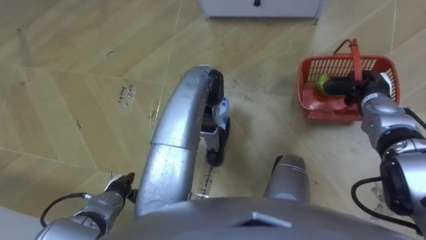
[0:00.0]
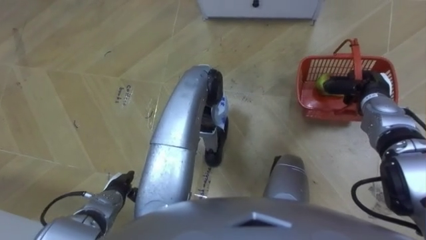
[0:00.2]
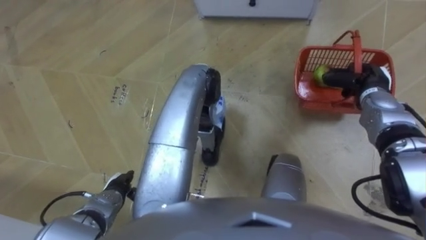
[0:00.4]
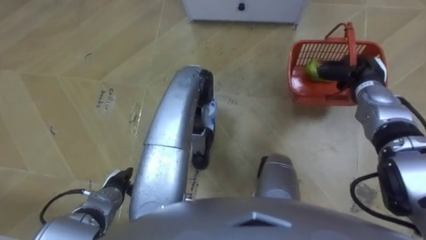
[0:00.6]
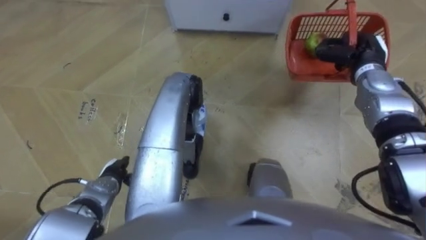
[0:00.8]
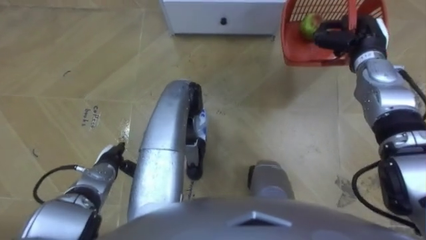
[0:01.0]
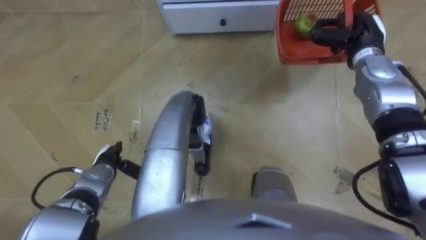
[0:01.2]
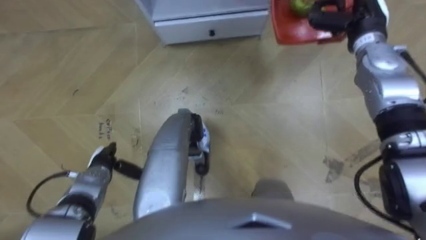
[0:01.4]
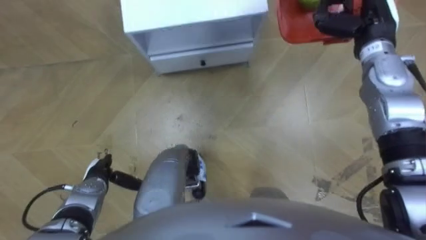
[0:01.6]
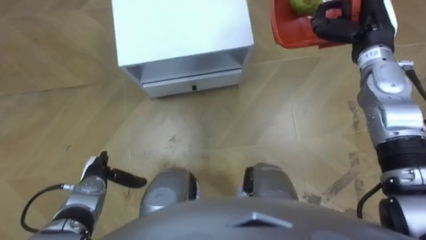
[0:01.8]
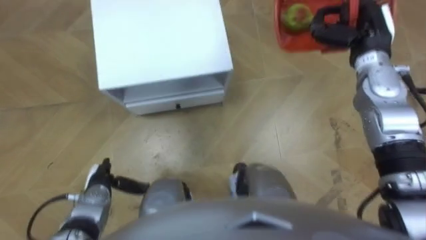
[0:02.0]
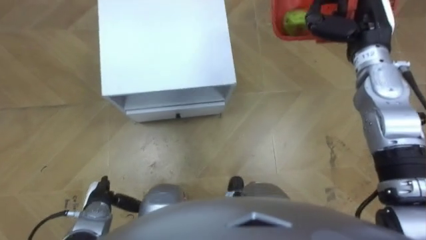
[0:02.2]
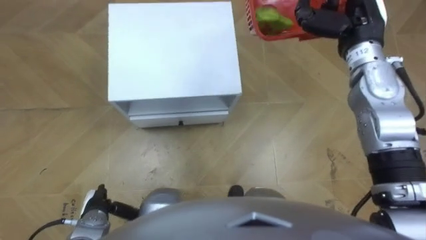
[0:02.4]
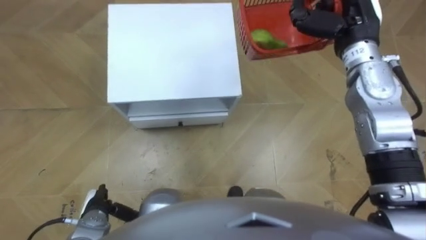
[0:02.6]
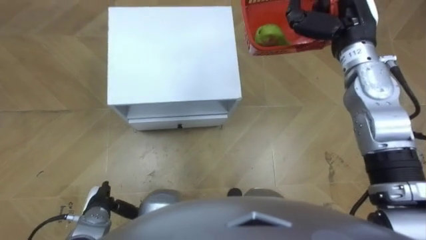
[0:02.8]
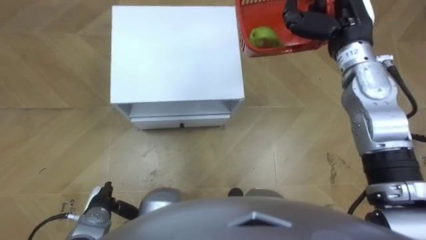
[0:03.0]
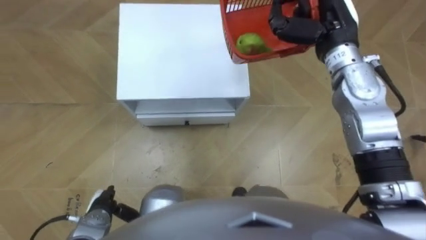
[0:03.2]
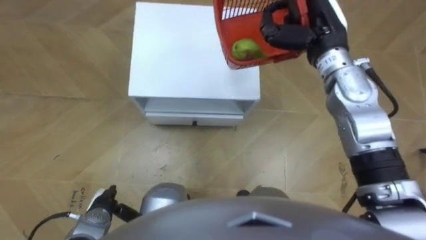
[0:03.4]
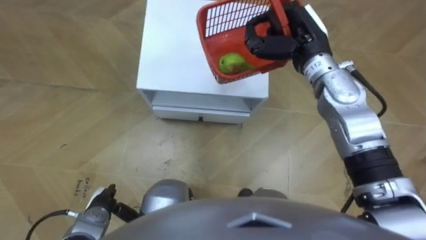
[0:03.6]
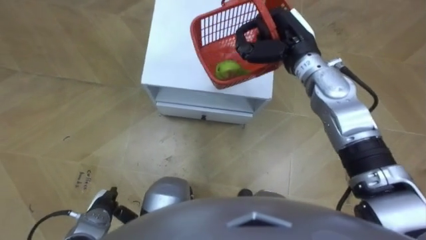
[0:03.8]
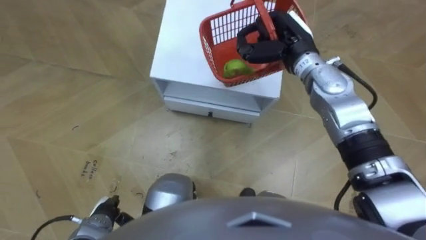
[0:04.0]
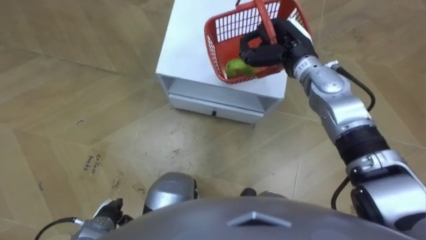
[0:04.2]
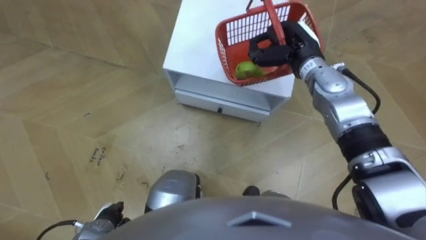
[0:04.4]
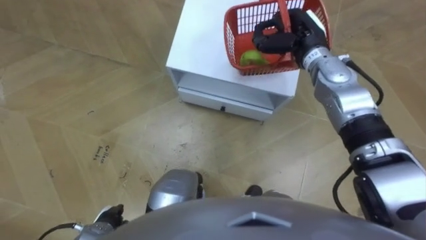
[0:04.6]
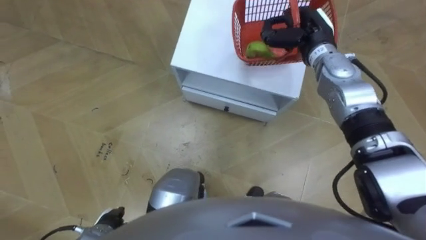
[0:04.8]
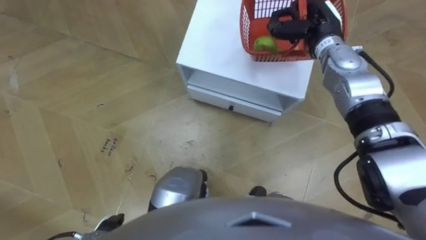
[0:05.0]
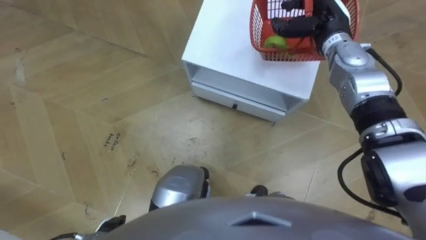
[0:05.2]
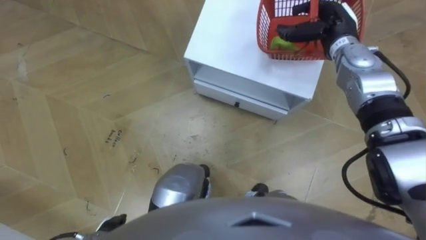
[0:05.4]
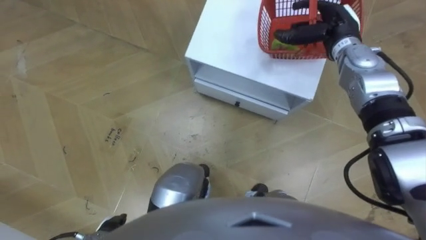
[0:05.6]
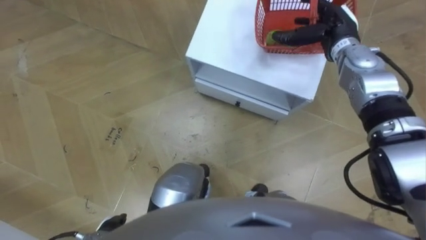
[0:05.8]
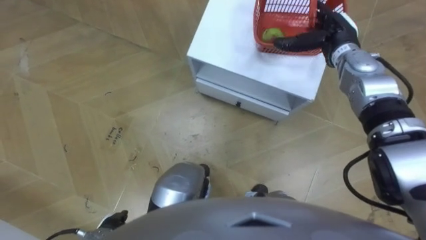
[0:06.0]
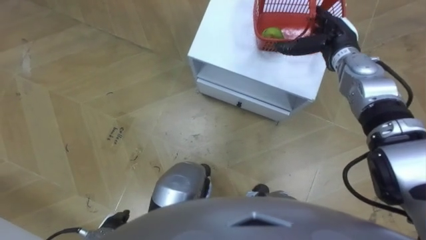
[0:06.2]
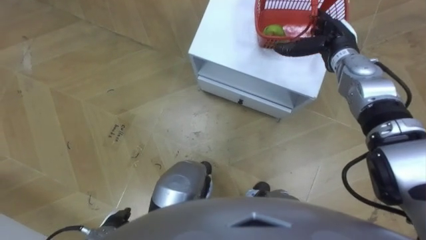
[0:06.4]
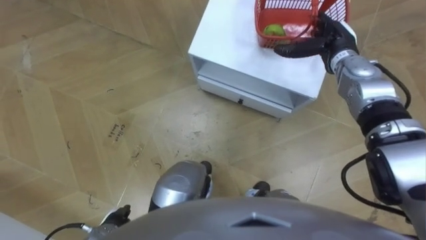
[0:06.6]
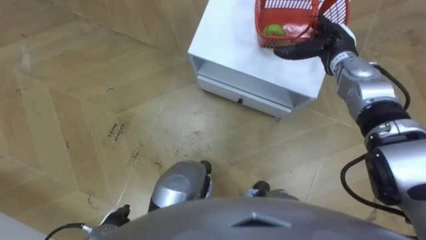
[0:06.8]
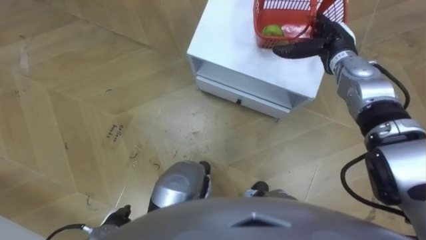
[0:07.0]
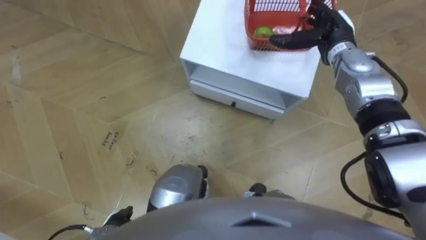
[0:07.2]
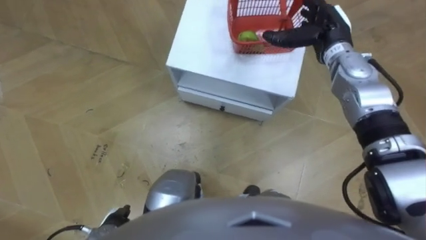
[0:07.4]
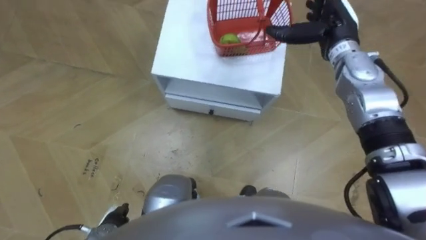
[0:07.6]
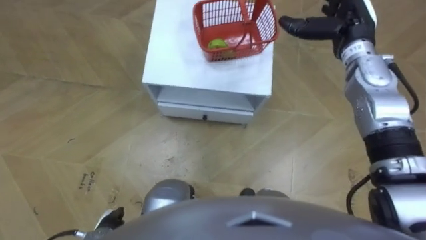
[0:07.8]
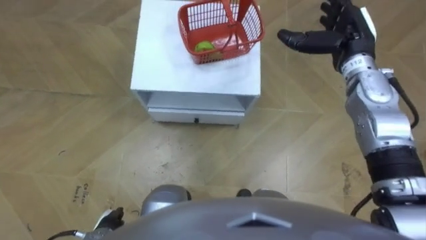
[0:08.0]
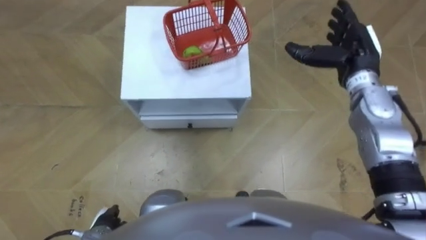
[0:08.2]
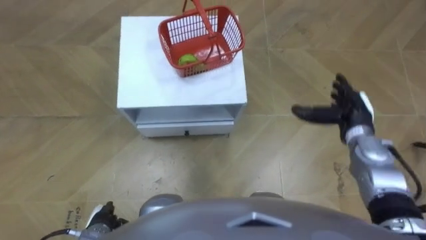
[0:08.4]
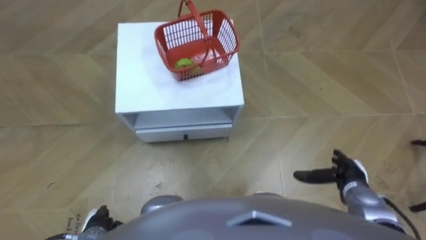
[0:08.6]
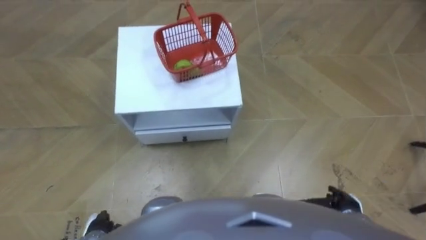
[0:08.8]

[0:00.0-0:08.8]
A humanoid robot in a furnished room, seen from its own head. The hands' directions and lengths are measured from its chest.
Task of the whole recording: Pick up the fruit basket from the floor and place it on the cabinet.
0:00.0 to 0:01.4: The right hand travels upward, forward and to the left by roughly 15 cm, while the left hand goes some 5 cm forward.
0:01.4 to 0:03.0: The right hand goes roughly 5 cm to the left. The left hand is displaced backward by some 10 cm.
0:03.0 to 0:04.4: The right hand travels downward and to the left by some 10 cm.
0:04.4 to 0:05.8: The right hand is displaced to the right by approximately 5 cm, and opens its fingers.
0:07.4 to 0:08.8: The right hand goes approximately 40 cm backward and downward.

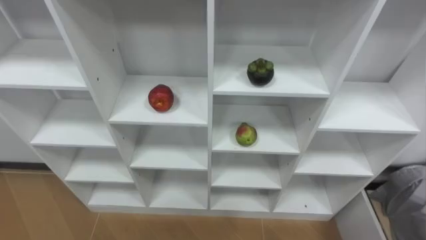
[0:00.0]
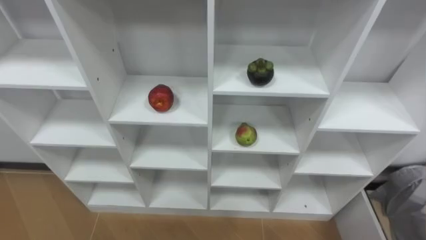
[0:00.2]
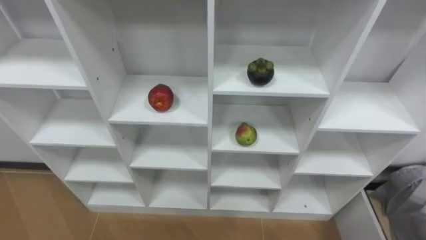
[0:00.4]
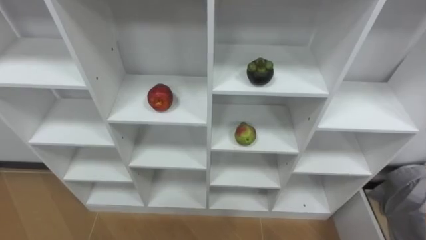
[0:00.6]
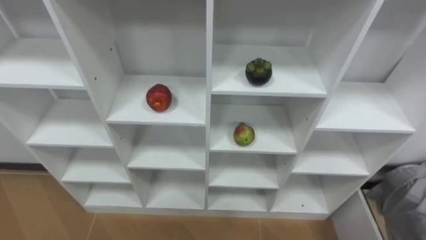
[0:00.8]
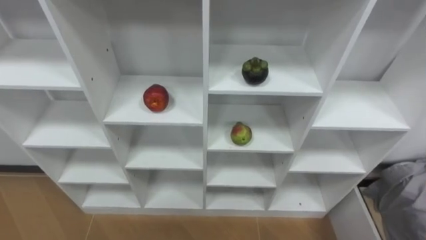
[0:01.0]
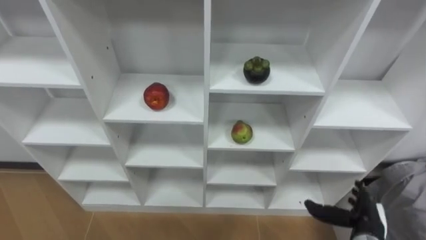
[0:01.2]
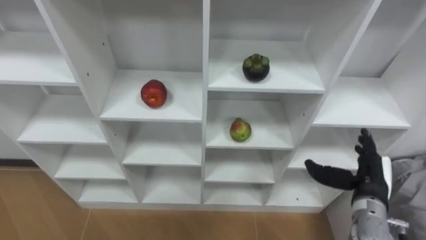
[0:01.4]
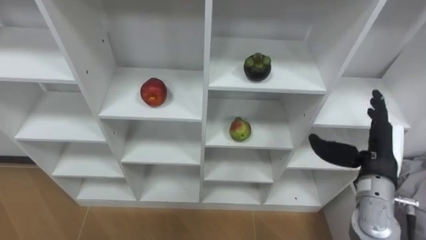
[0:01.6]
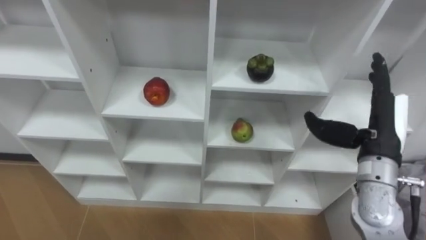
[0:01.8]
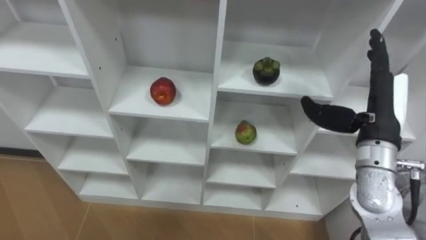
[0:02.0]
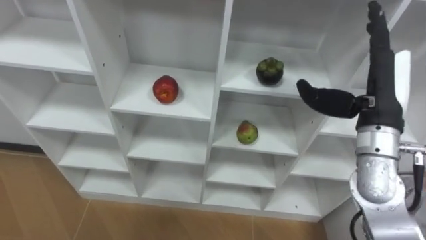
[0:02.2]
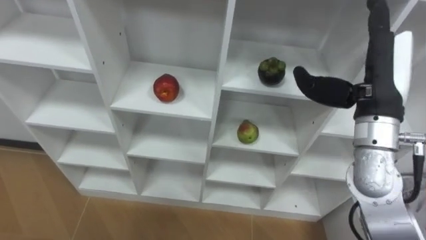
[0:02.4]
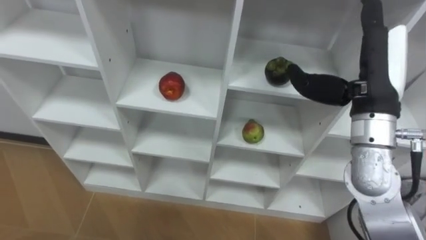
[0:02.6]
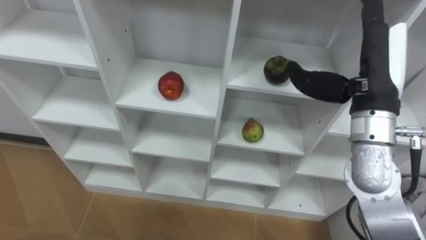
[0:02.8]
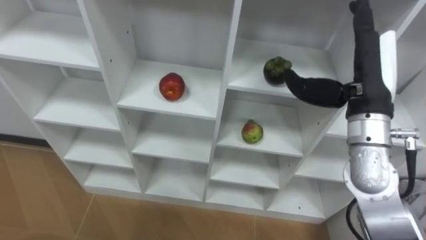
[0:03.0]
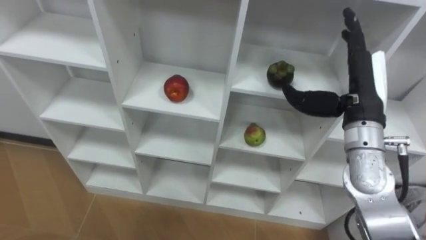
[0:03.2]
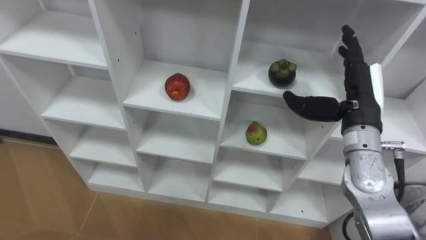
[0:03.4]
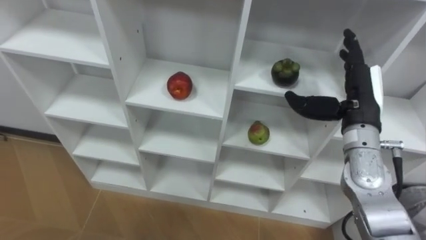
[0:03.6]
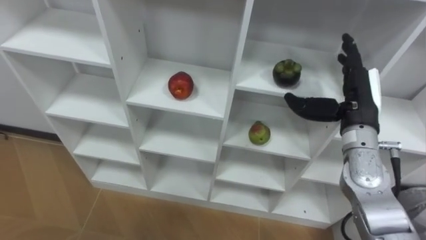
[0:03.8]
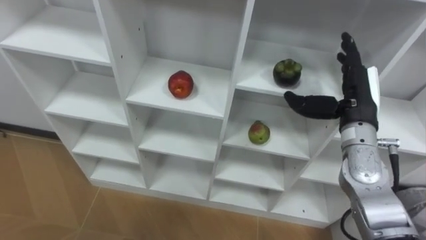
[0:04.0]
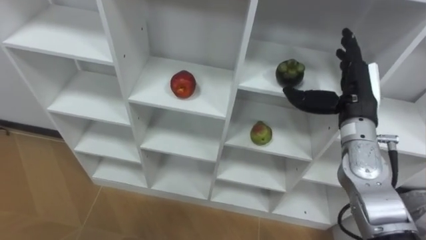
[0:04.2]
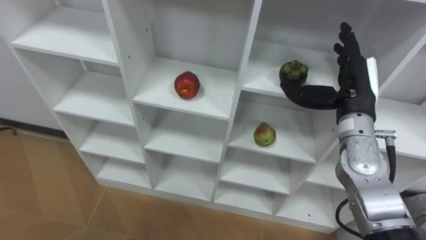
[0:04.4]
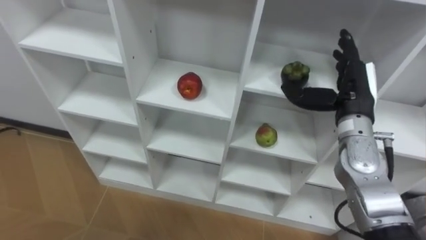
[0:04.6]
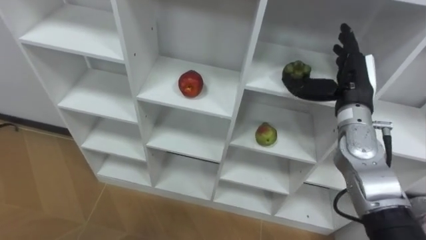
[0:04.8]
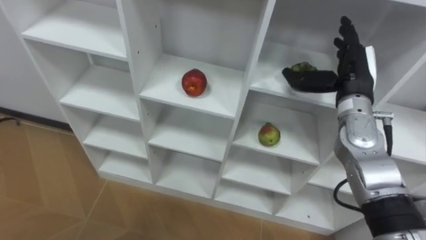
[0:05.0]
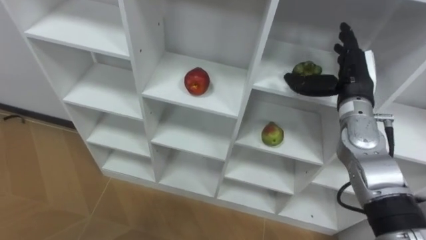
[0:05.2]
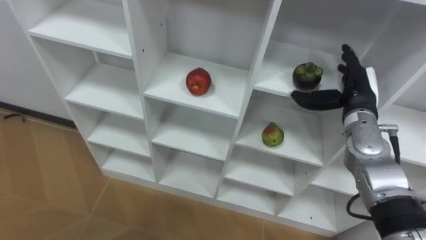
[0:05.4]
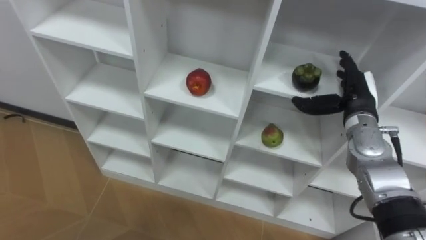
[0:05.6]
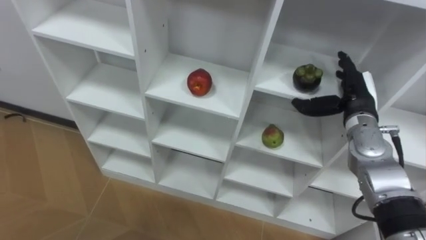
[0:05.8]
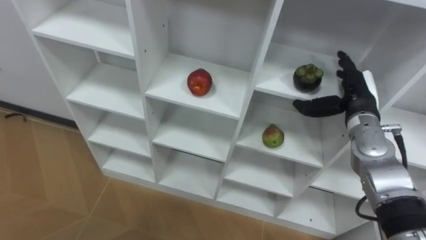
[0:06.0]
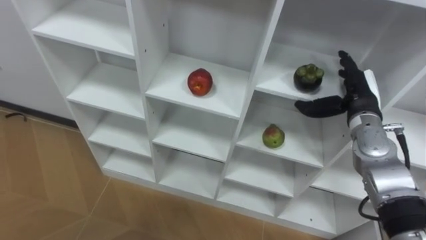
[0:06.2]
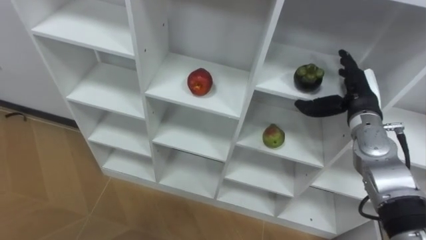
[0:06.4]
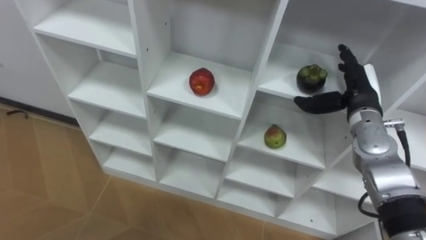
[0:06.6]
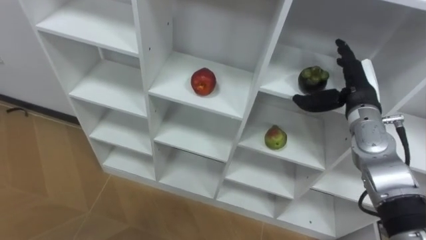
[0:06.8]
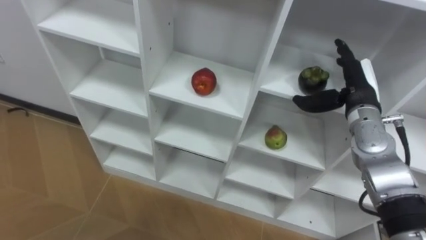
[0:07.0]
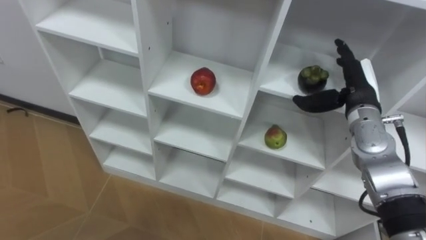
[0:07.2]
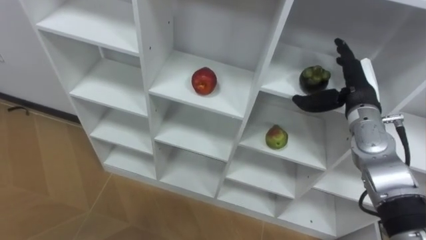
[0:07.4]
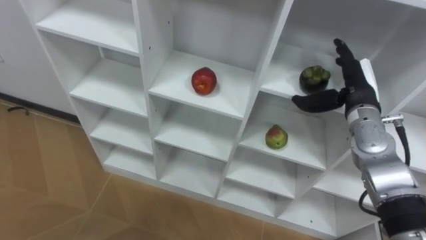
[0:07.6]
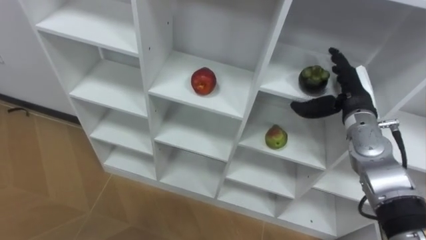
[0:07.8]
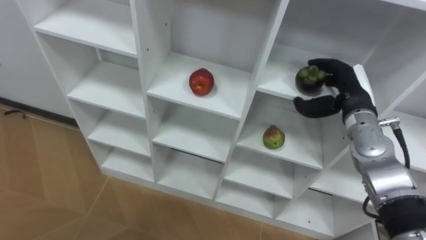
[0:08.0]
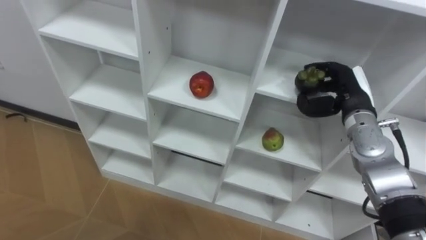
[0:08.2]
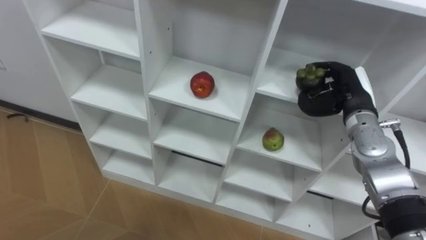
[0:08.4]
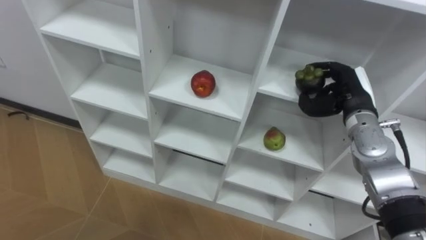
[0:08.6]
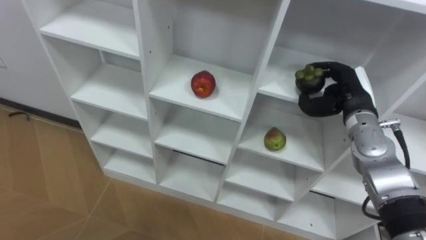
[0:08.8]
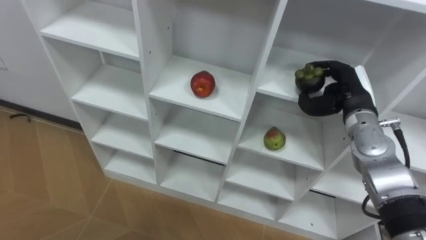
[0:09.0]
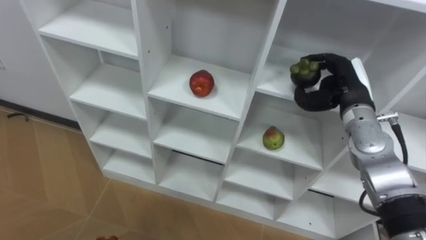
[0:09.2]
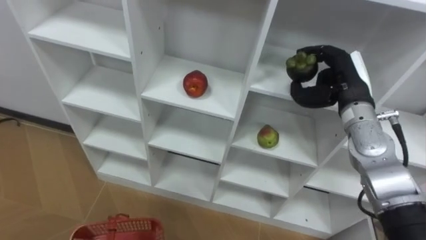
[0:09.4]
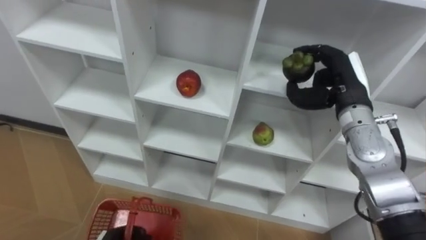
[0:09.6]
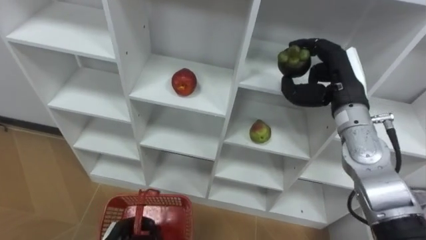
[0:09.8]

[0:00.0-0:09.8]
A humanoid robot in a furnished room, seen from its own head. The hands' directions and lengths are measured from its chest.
Task of the whole recording: Hold the basket and collect the fruits from 3 different cells of the closet into it.
0:01.4 to 0:02.8: The right hand goes approximately 20 cm upward.
0:02.8 to 0:04.2: The right hand moves downward, about 10 cm.
0:04.2 to 0:05.6: The right hand changes place by approximately 5 cm.
0:07.0 to 0:08.4: The right hand closes.
0:08.4 to 0:09.8: The right hand heads upward, covering roughly 5 cm.
